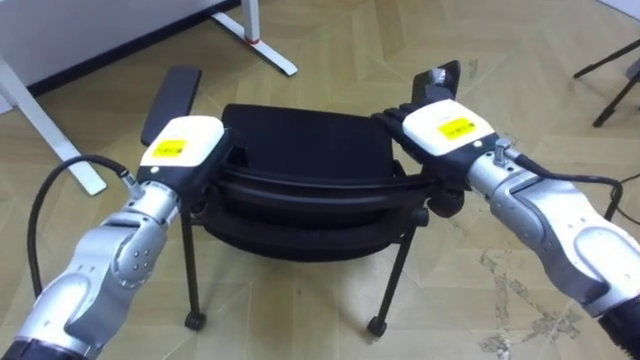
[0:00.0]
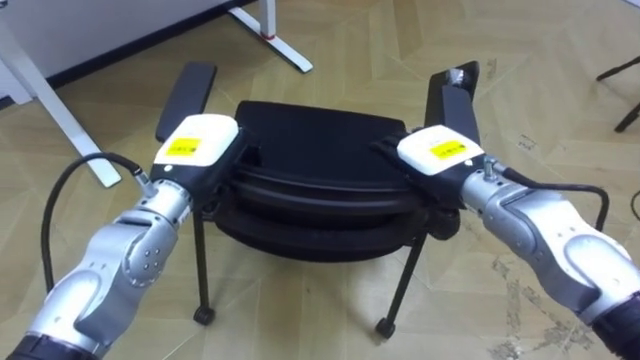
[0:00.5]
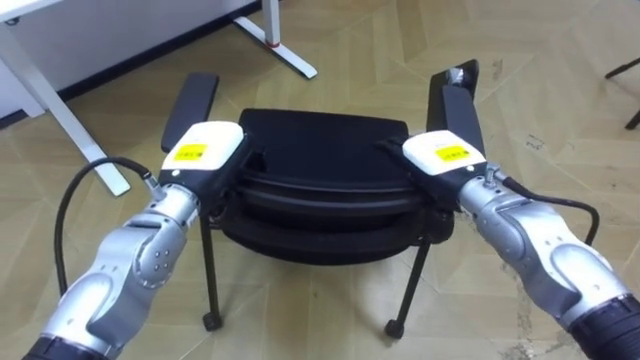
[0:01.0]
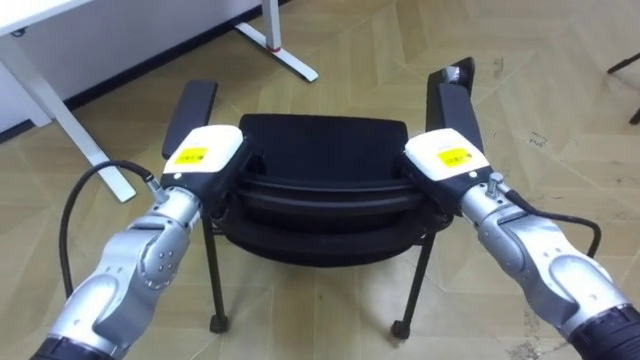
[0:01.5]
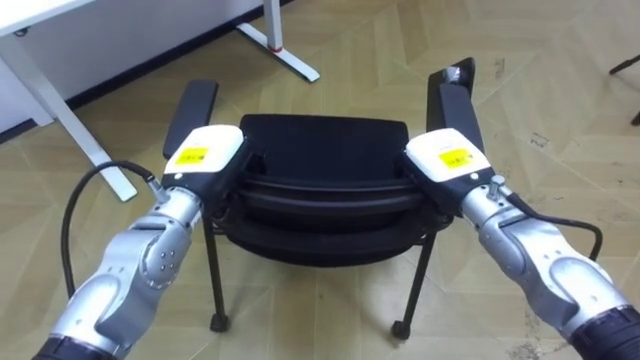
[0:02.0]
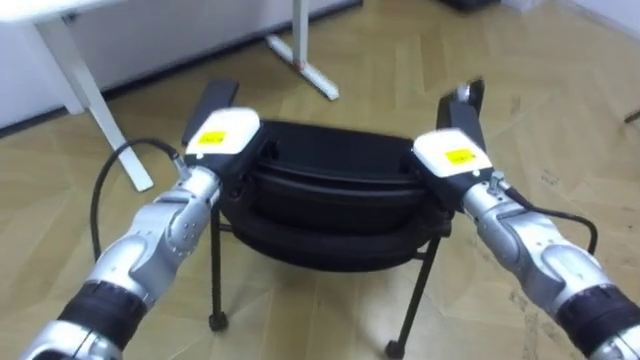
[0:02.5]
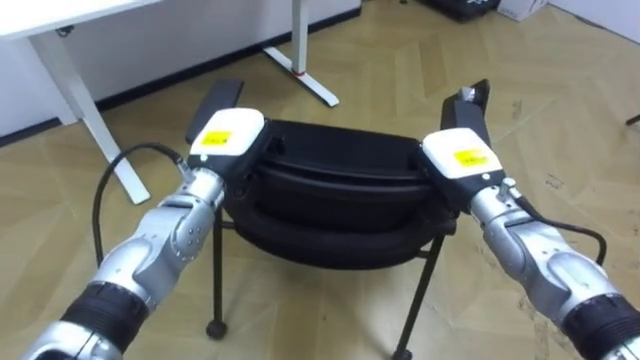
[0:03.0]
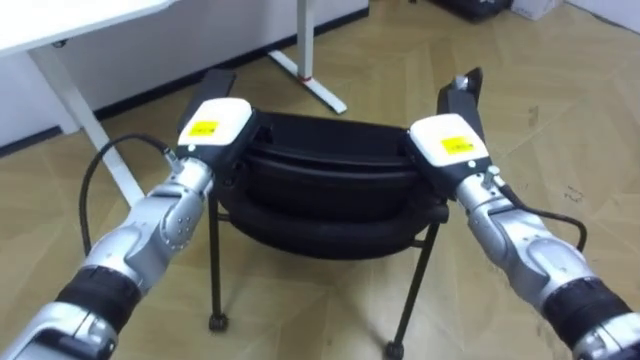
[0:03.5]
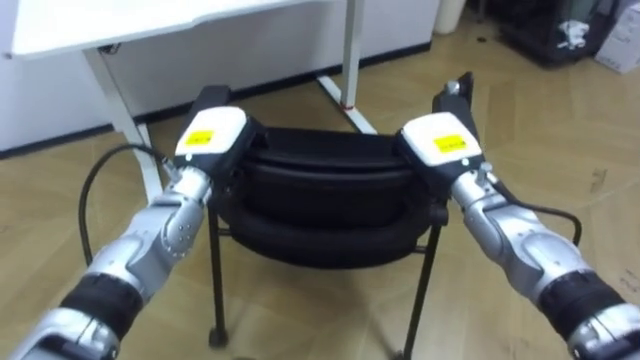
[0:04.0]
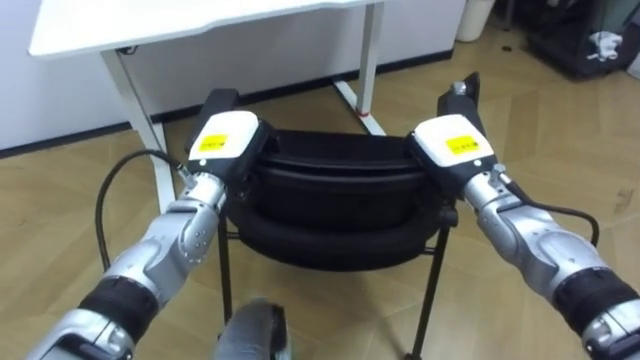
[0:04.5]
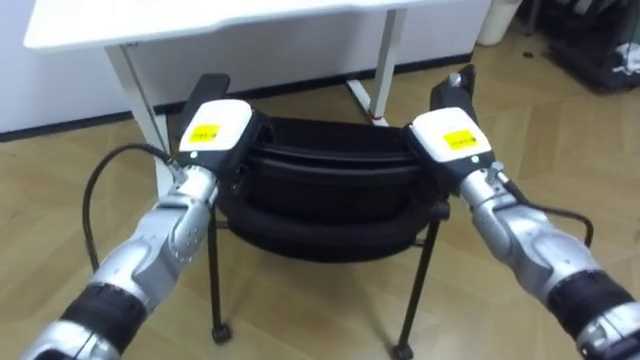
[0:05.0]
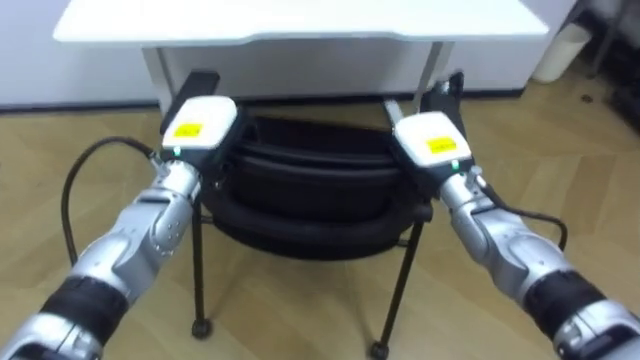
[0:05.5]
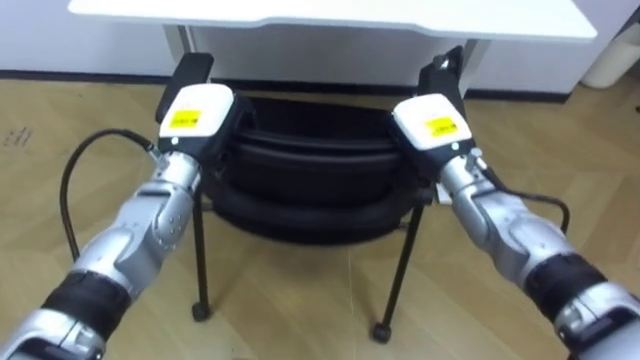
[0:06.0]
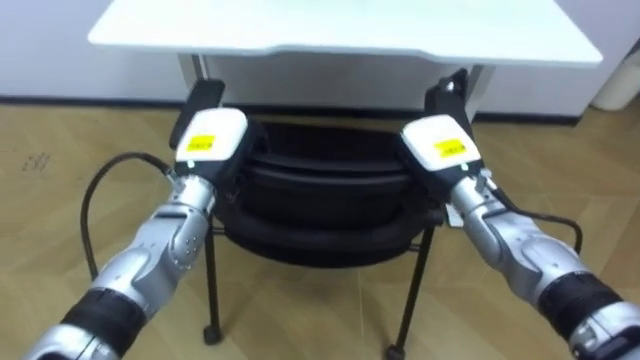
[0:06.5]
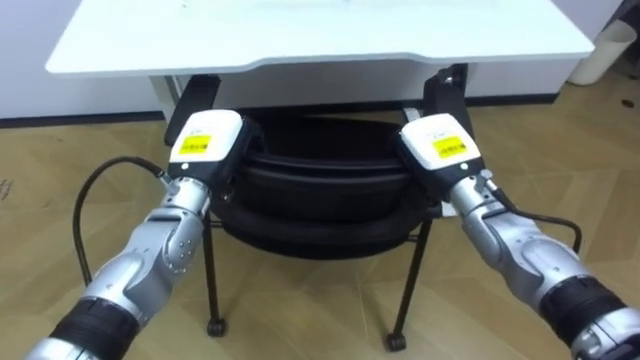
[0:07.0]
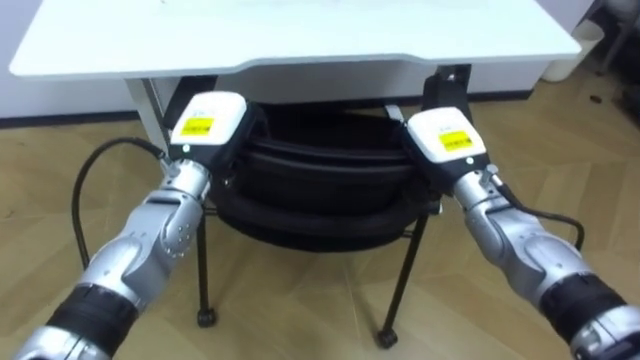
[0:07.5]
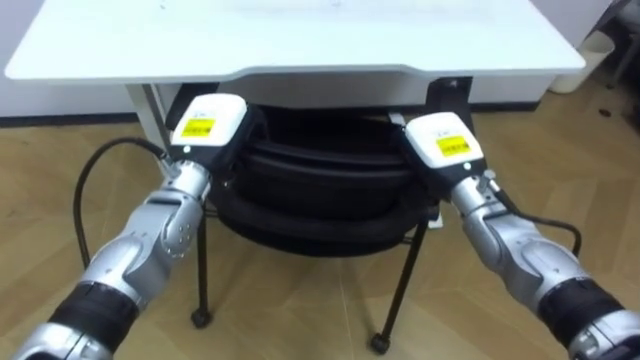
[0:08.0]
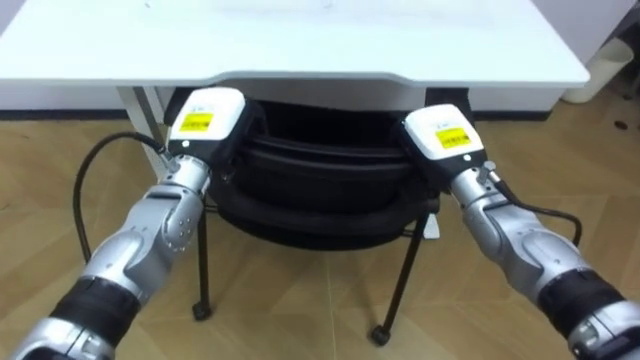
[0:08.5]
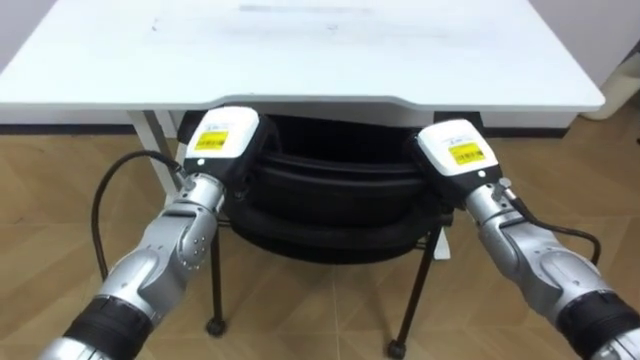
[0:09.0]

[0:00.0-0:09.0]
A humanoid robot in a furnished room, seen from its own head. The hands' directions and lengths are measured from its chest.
Task of the whole recording: Push the chair under the table.
0:00.0 to 0:02.0: The right hand changes place by approximately 5 cm, and closes.
0:02.0 to 0:04.5: The robot turns to its left by roughly 20 degrees.

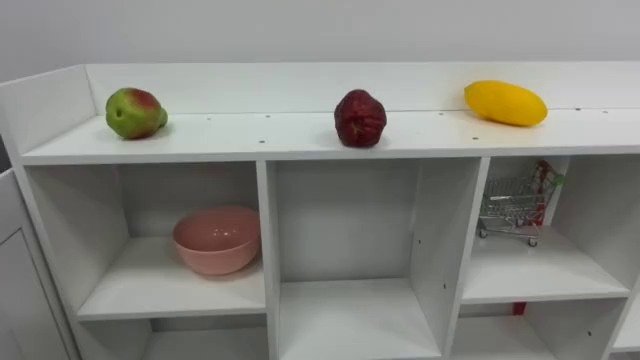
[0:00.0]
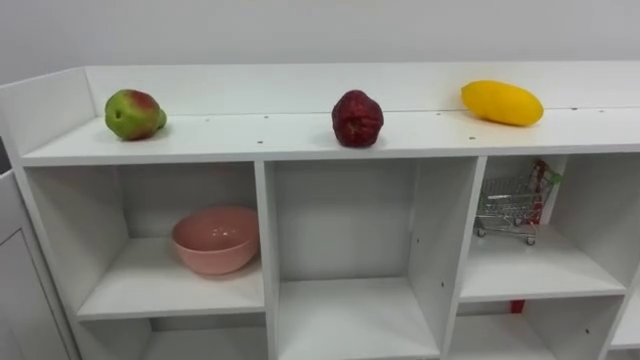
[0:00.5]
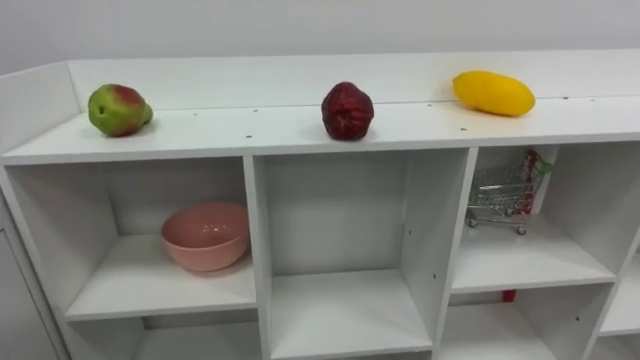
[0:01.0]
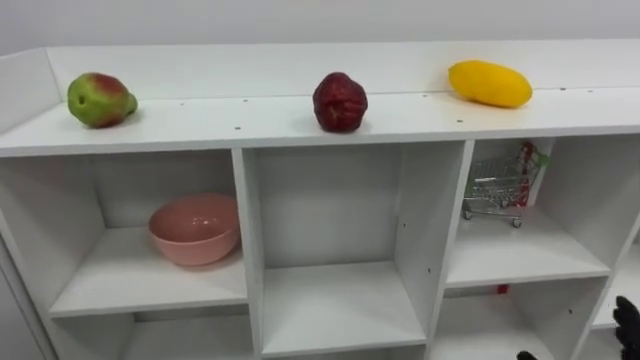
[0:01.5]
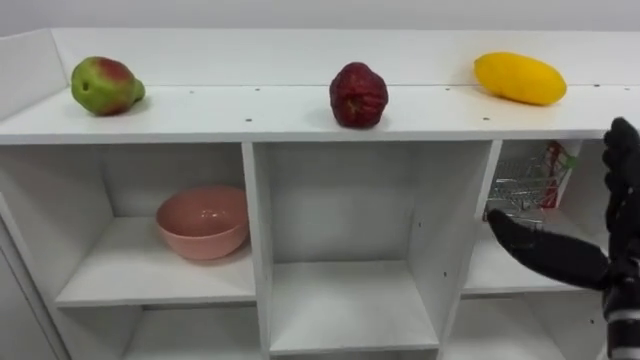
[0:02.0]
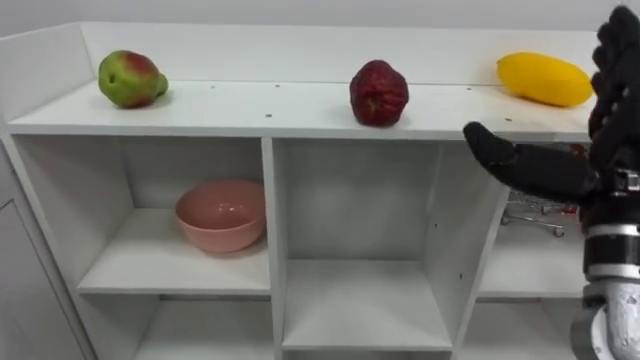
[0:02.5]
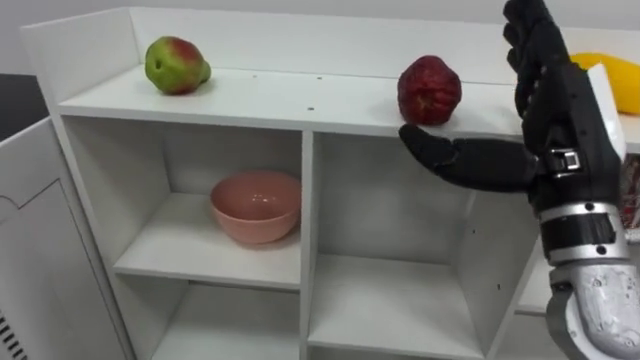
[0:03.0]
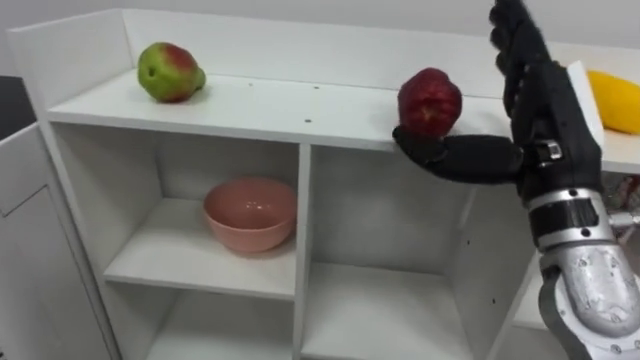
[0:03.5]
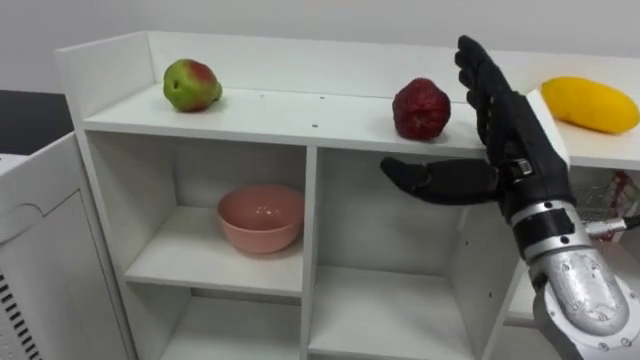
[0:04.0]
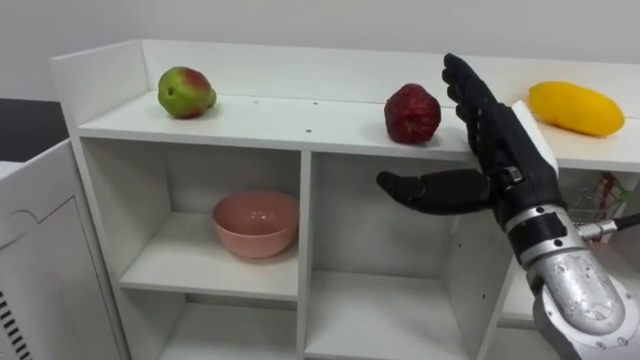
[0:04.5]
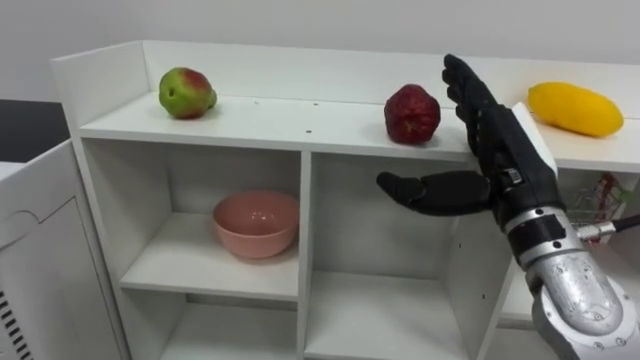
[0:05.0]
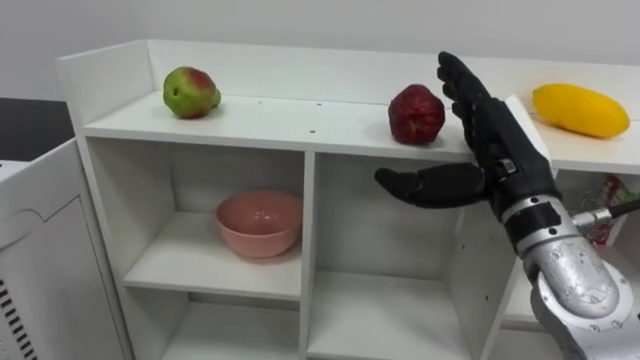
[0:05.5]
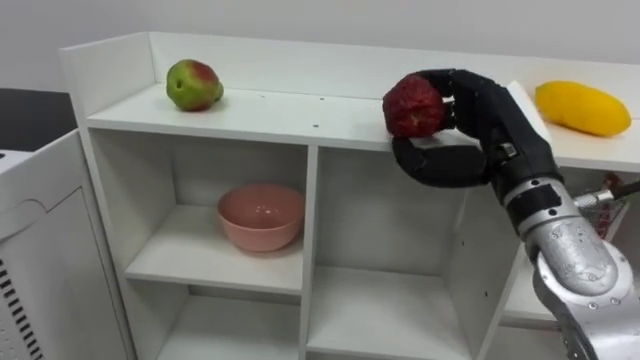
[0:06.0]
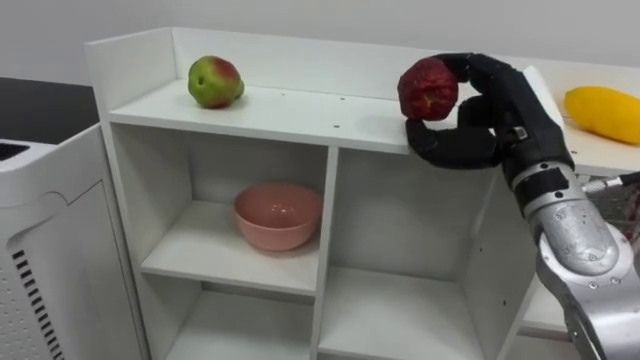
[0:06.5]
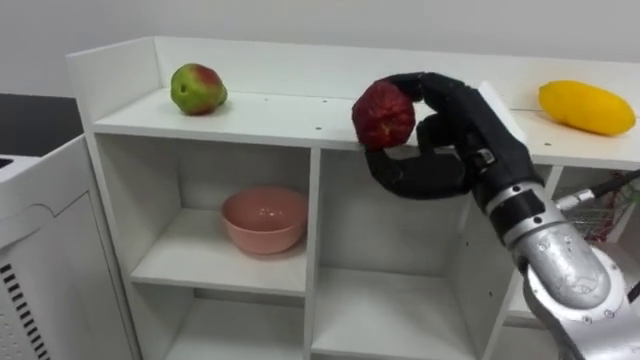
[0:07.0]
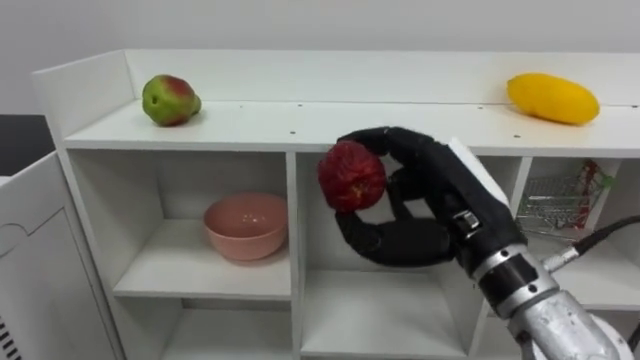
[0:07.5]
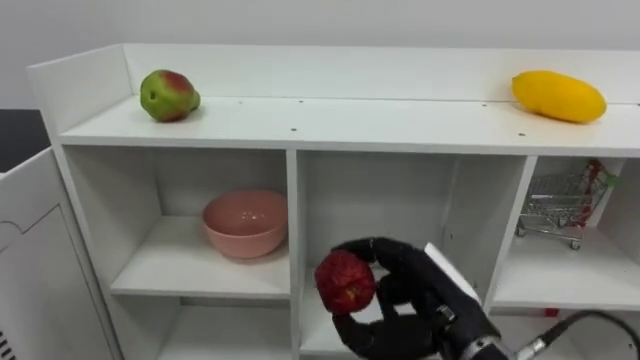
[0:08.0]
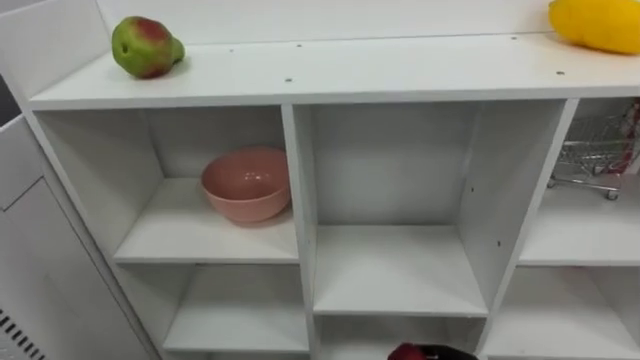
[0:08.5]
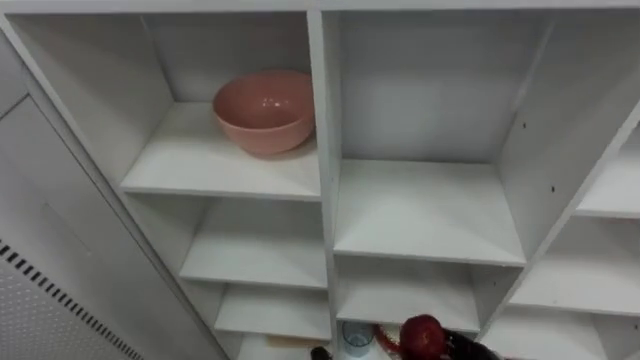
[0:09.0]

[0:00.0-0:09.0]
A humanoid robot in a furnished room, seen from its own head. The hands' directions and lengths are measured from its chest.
Task of the whole recording: Put the apple in the cell in the second column from the left and the second row from the top.
0:02.0 to 0:04.5: The right hand is displaced to the left, forward and upward by approximately 15 cm.
0:04.5 to 0:07.0: The right hand closes.

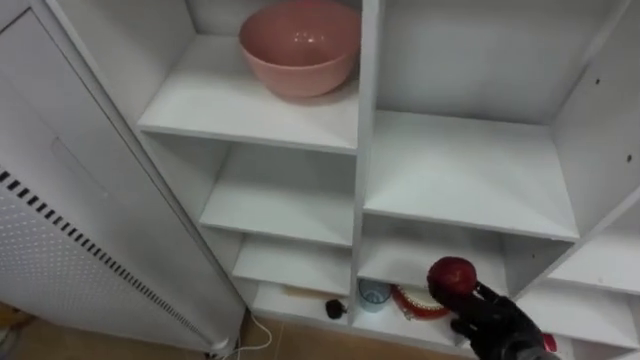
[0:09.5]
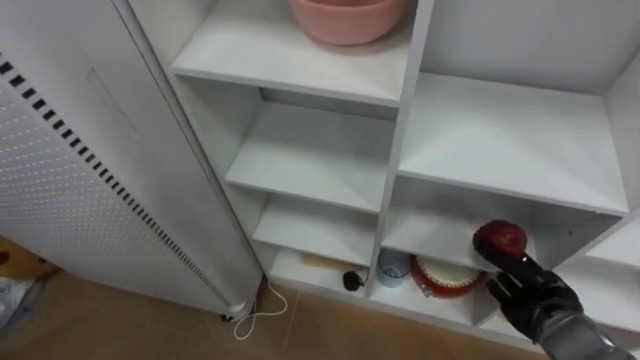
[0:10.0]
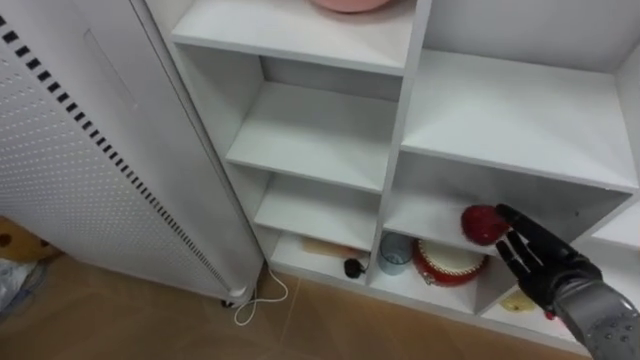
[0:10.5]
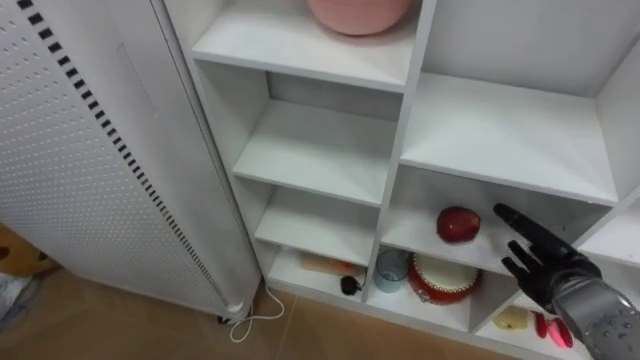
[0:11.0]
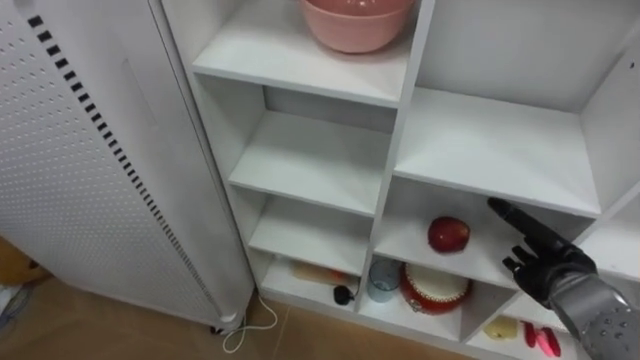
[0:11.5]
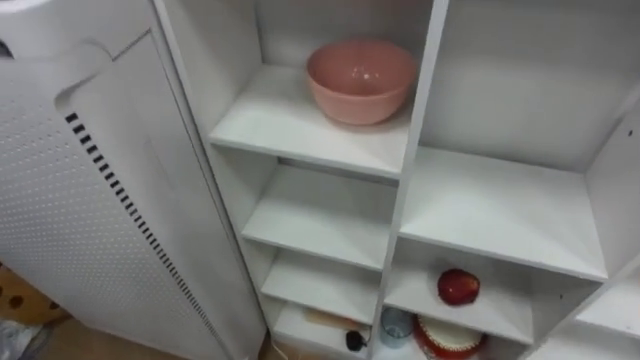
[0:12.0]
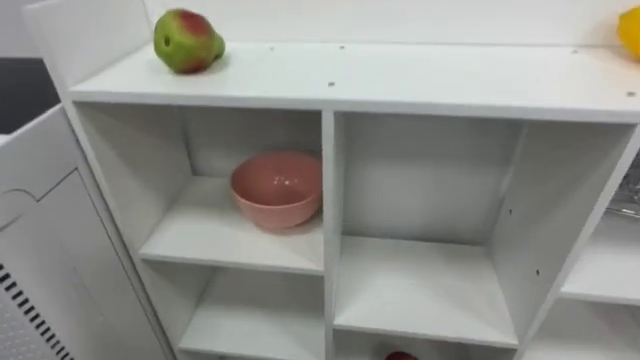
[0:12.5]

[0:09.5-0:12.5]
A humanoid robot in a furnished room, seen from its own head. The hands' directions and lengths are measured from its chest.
Task of the whole recording: Put the apple in the cell in the second column from the left and the second row from the top.
0:09.5 to 0:11.0: The right hand travels upward and to the right by roughly 10 cm, and opens up.
